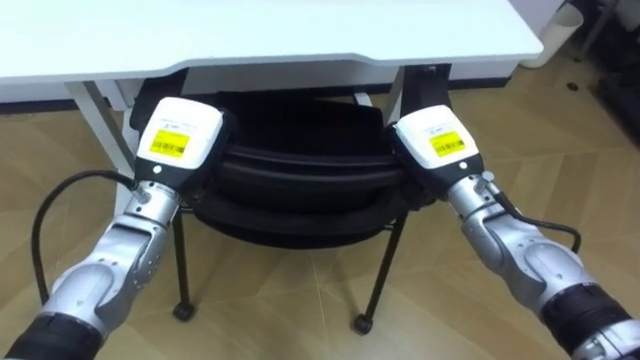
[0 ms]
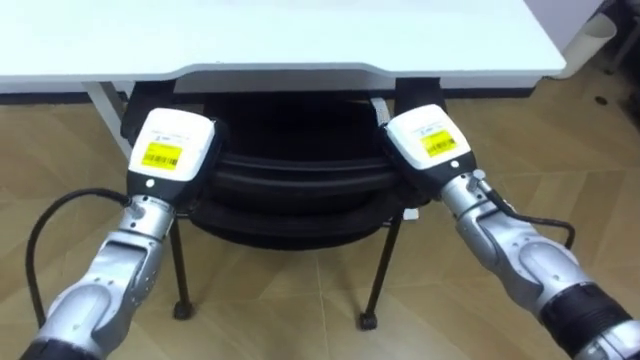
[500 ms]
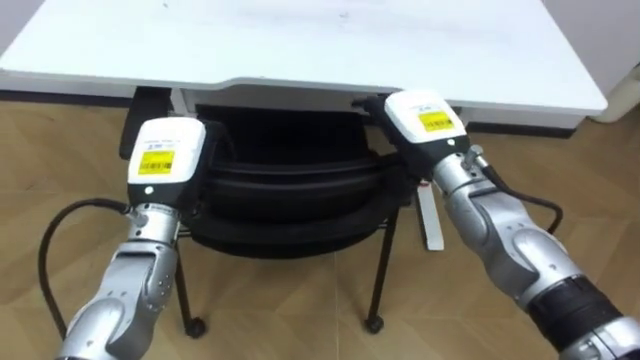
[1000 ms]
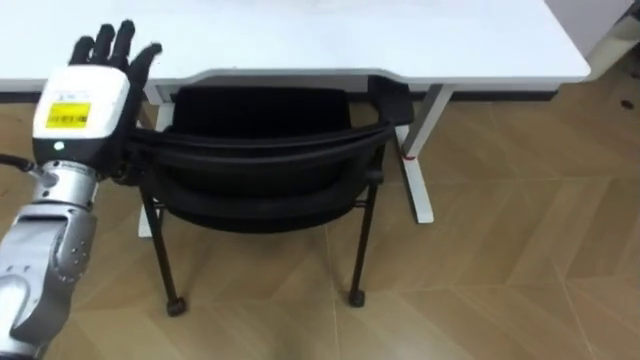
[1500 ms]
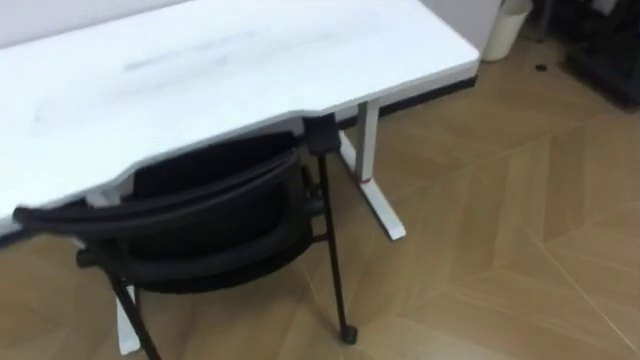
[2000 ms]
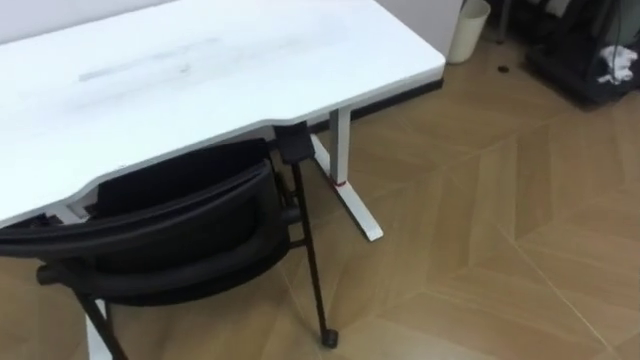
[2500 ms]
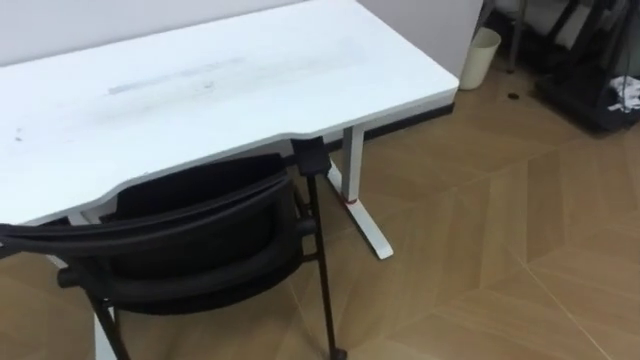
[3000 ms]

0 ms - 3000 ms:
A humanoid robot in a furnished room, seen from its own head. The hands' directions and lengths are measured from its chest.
Task of the whole recording: Push the chair under the table.
0 ms - 1500 ms: The left hand goes about 10 cm to the left and upward, and opens.

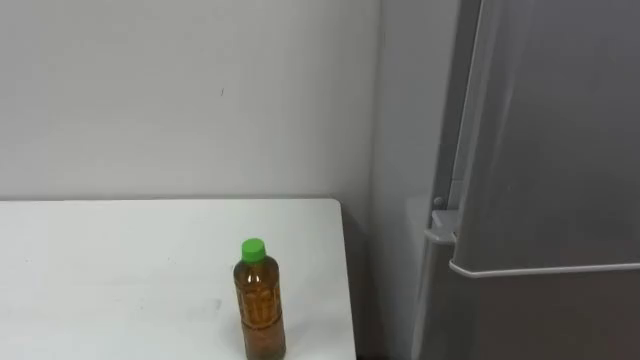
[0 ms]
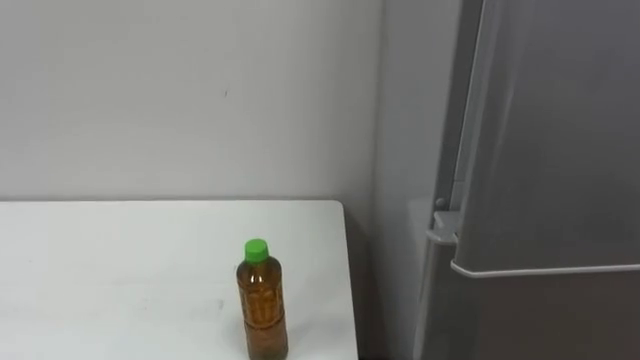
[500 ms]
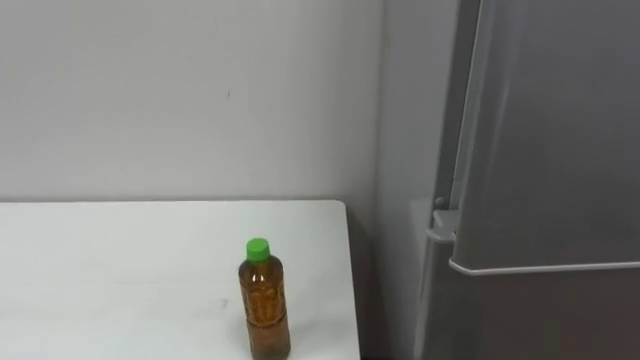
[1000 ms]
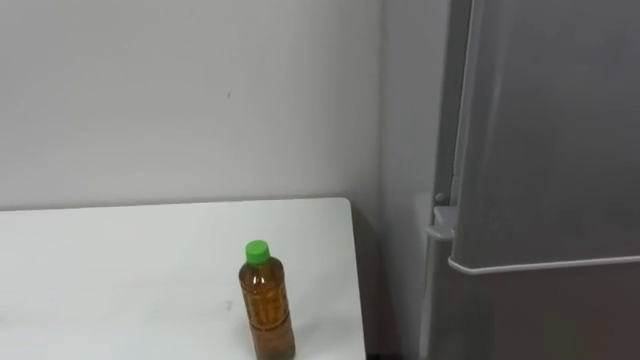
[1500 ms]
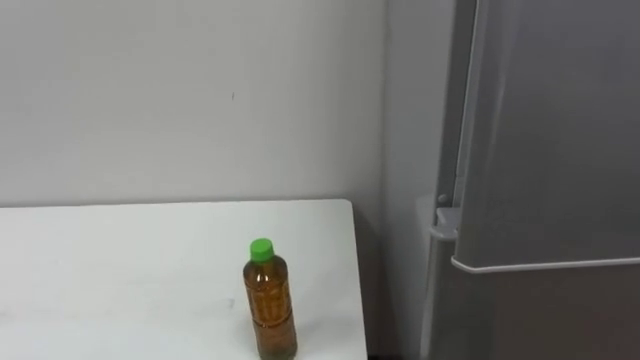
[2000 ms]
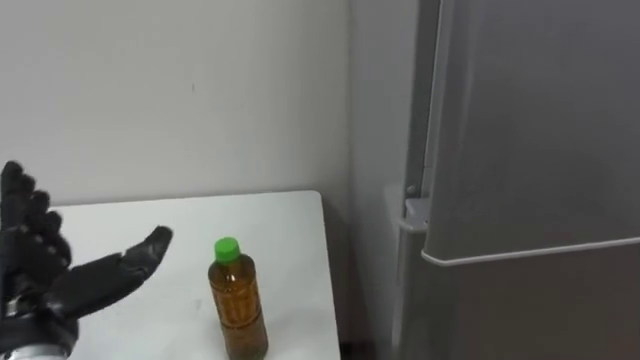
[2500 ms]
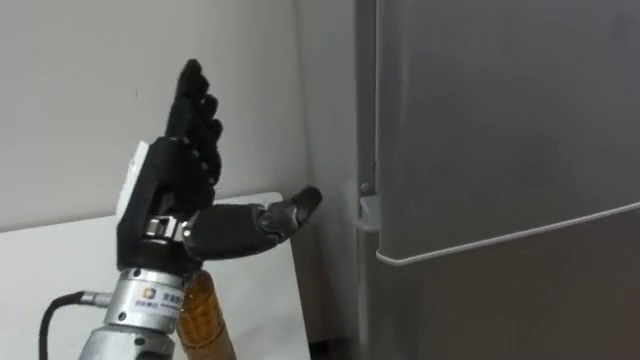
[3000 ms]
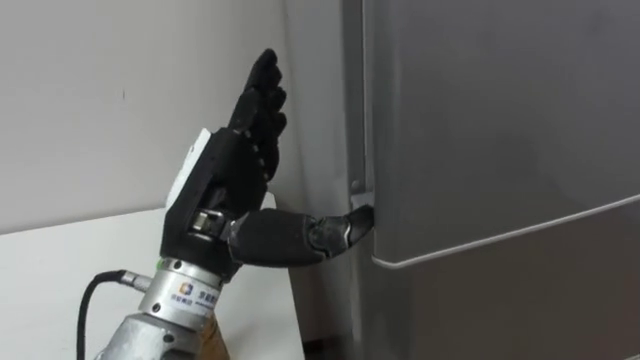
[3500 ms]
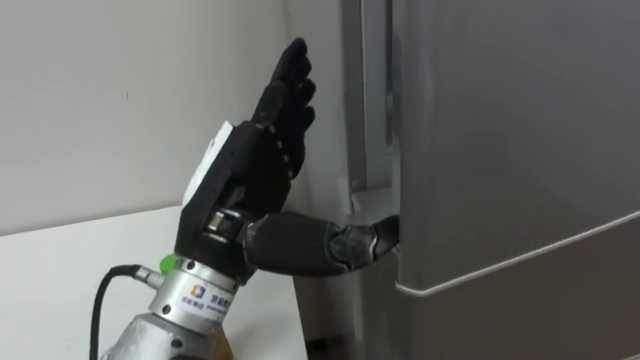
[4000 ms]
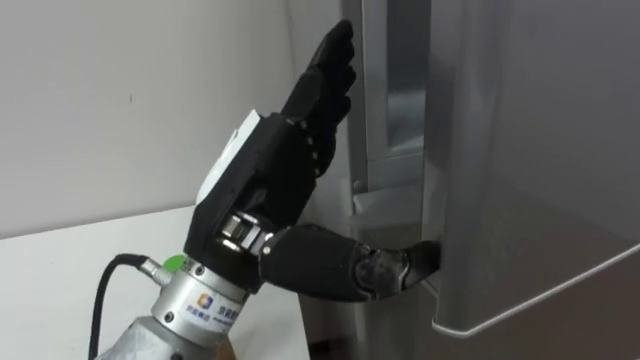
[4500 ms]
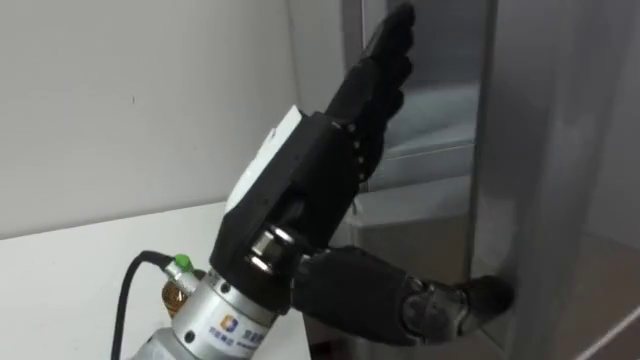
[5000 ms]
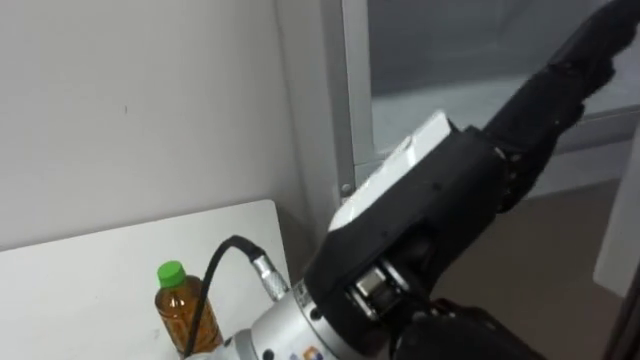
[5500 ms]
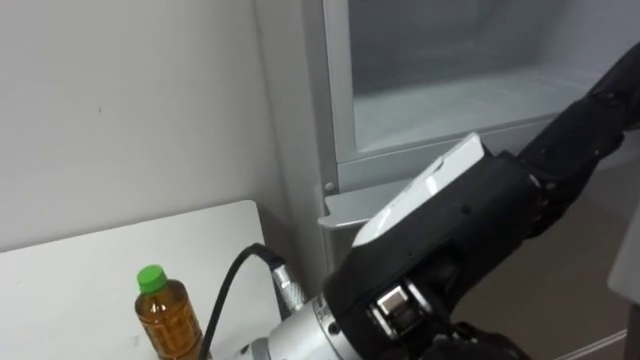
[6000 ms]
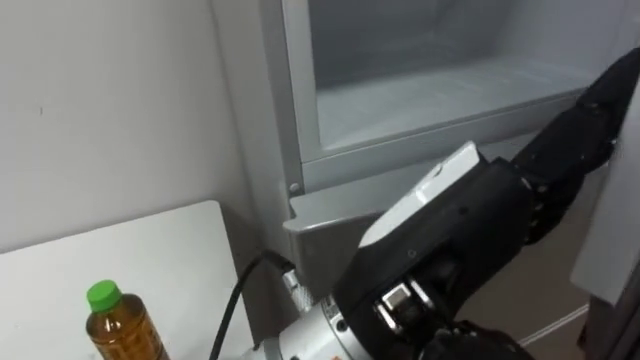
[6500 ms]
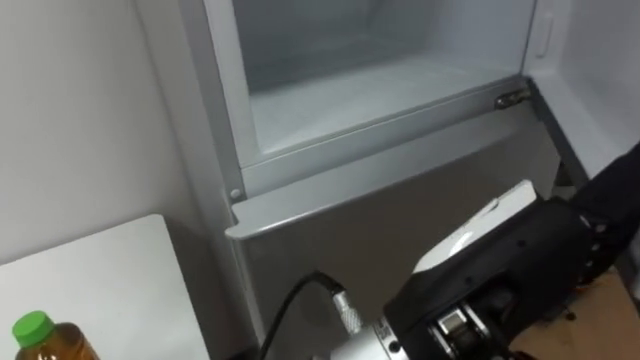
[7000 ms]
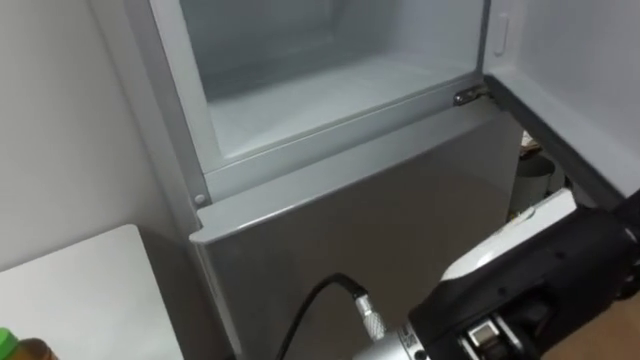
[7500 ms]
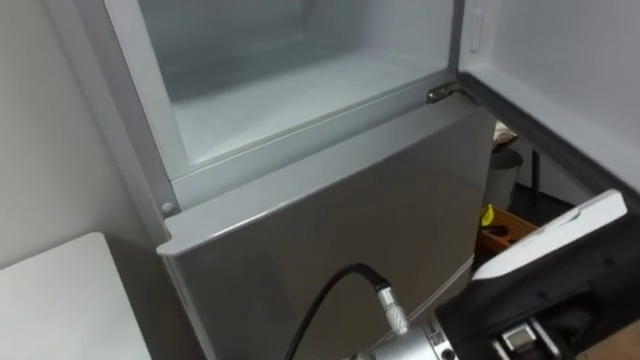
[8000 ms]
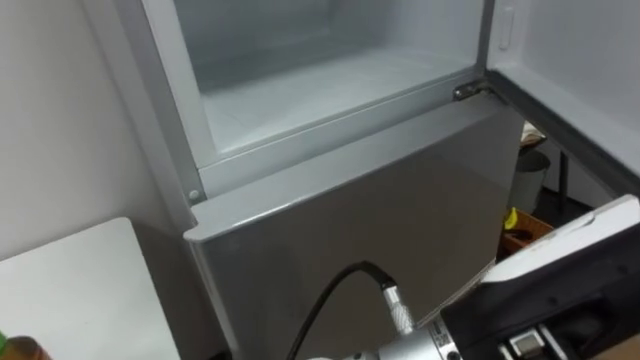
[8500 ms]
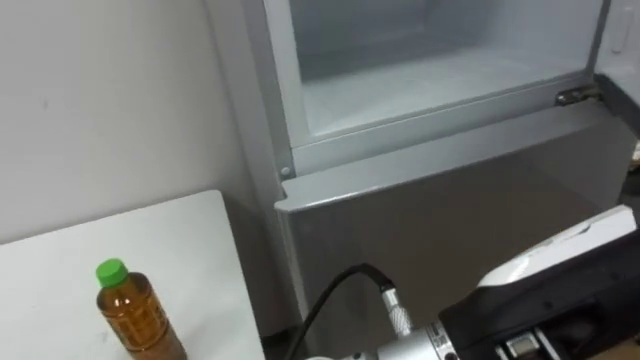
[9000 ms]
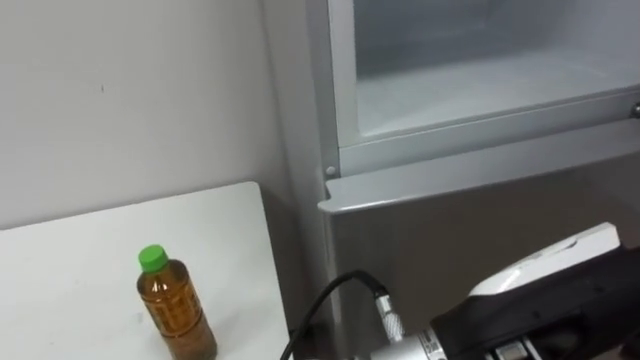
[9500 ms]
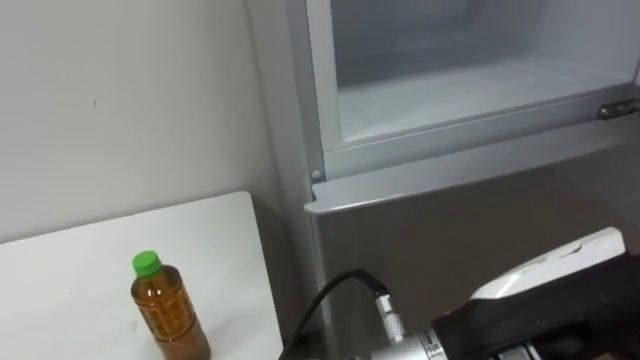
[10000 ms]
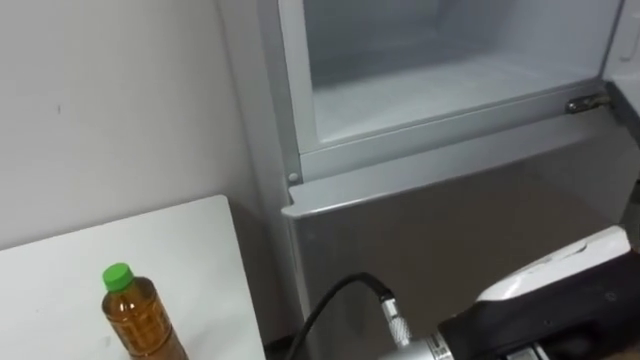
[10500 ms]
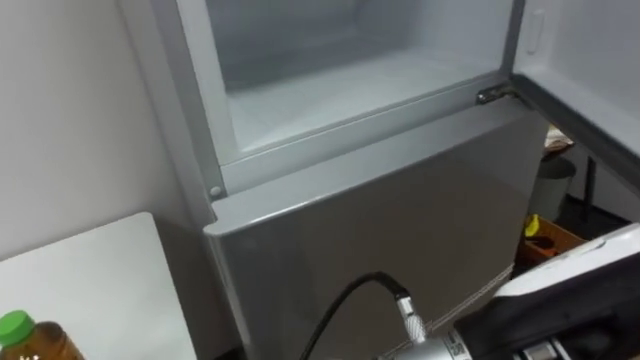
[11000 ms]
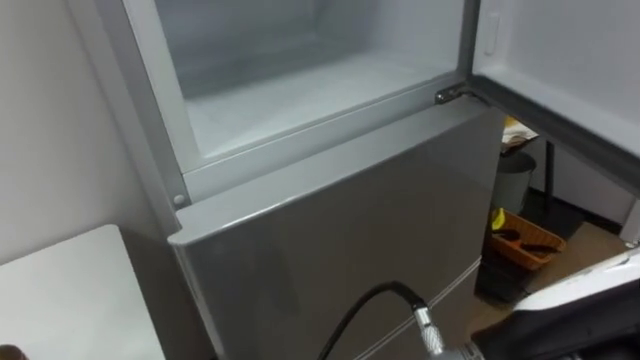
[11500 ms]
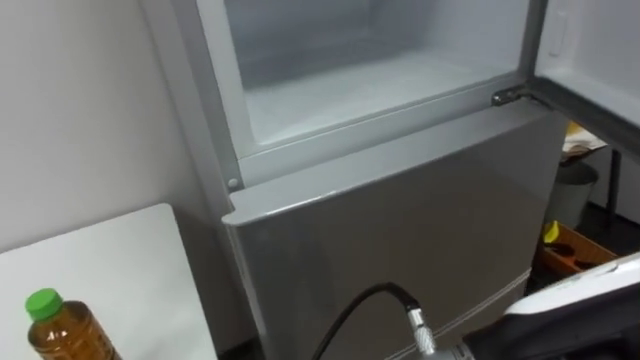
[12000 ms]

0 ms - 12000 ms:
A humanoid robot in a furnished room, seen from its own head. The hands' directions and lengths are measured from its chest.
Task of the whole recording: Open the upper refrigerator door, put the drink from the table into the refrigerator, and then close the refrigerator door.
4000 ms - 6000 ms: The left hand goes approximately 15 cm to the right and backward.
6000 ms - 8000 ms: The left hand goes approximately 5 cm to the right.
8000 ms - 10000 ms: The robot faces some 15 degrees further to its left.

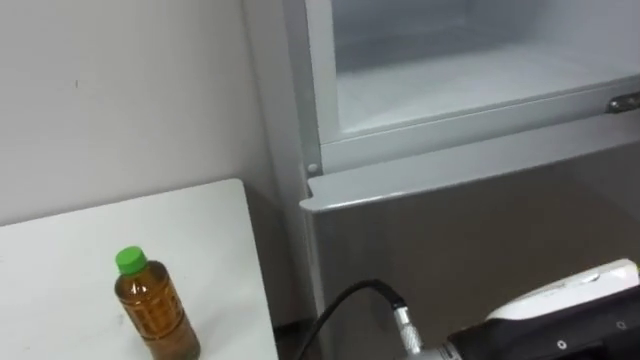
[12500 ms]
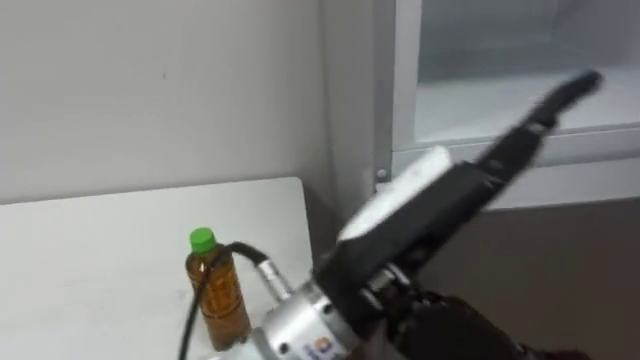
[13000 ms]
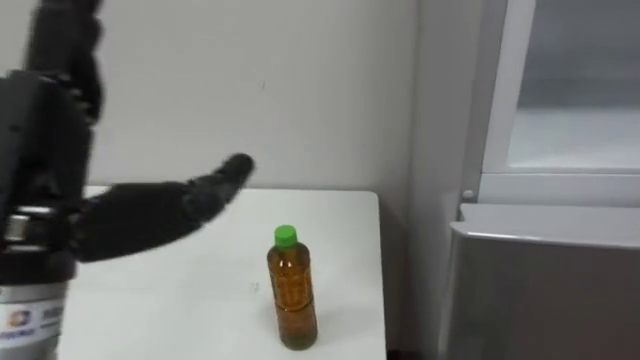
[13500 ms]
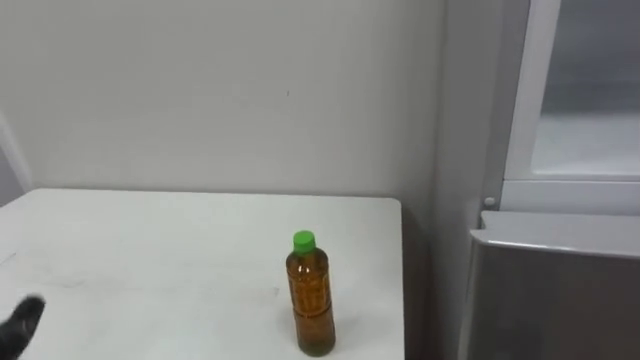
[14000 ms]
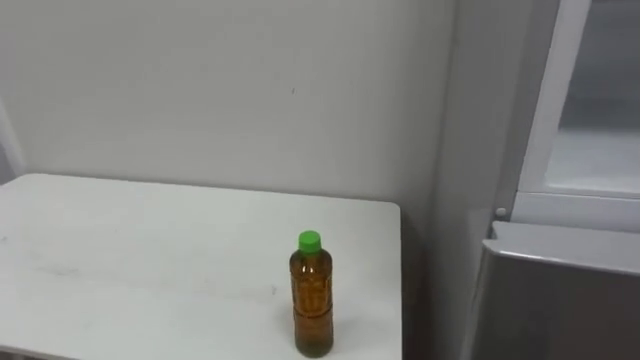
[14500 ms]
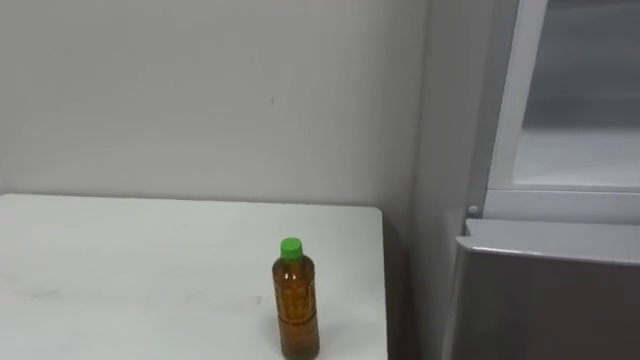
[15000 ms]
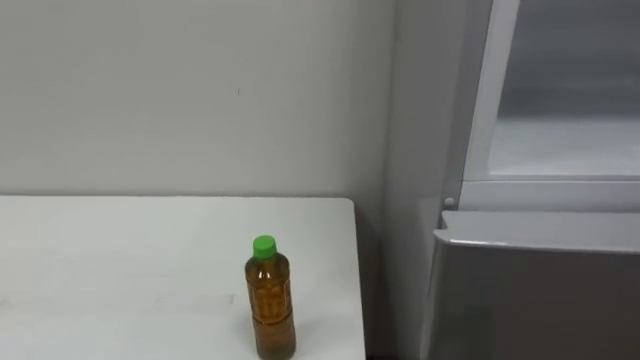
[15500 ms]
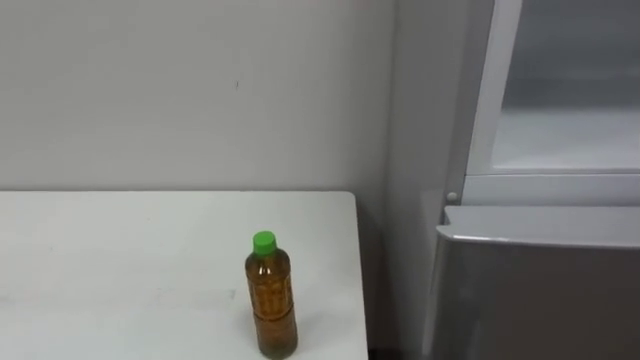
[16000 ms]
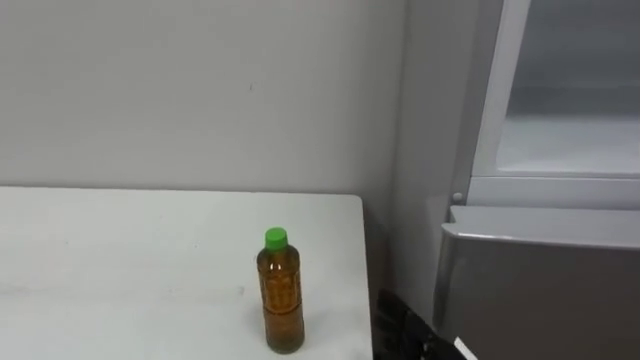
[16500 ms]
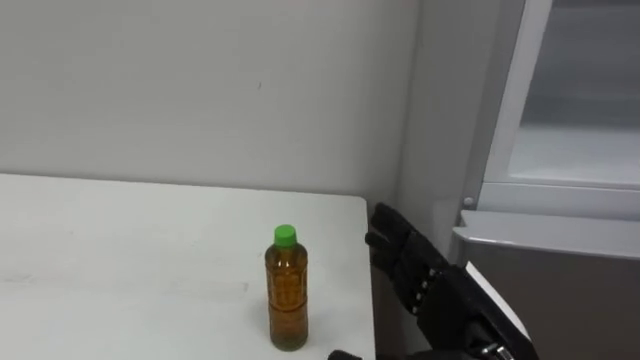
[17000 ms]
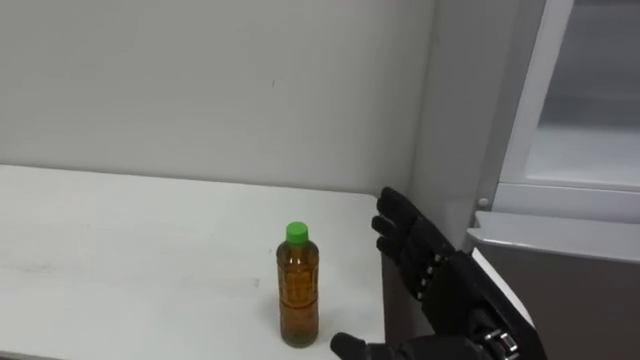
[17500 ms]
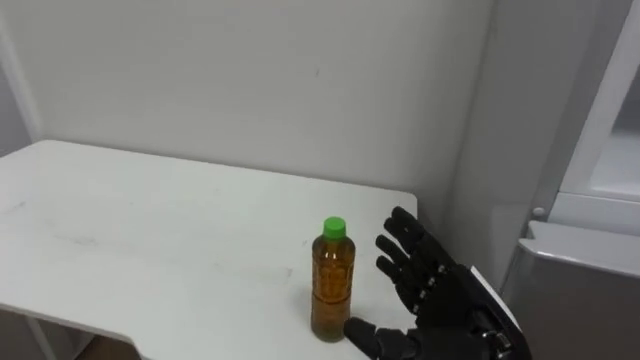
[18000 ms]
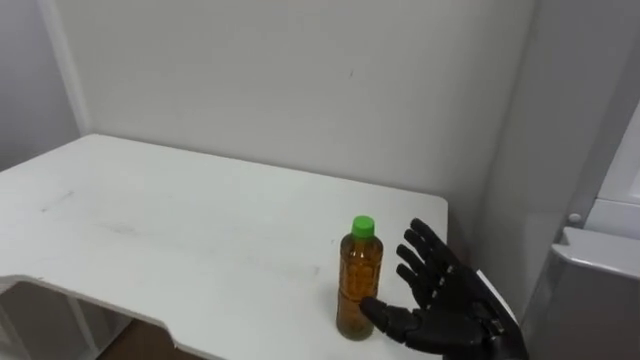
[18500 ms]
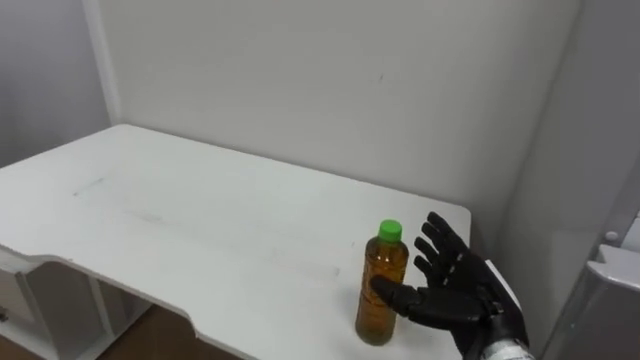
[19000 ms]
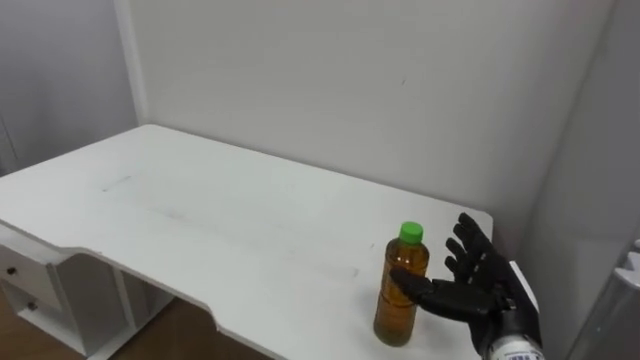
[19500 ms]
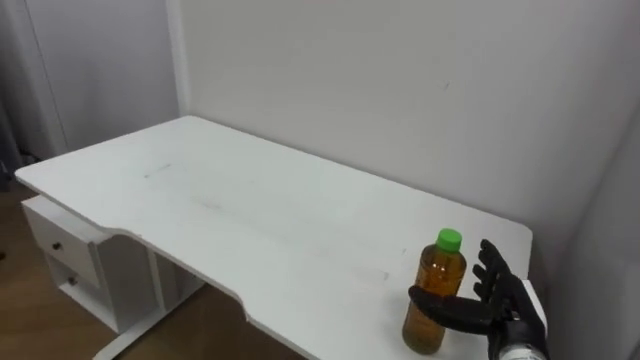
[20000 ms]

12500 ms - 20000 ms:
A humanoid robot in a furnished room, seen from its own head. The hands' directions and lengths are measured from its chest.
Task of the whole recording: Open the upper refrigerator door, put the drink from the table into the refrigerator, and then close the refrigerator door.
18000 ms - 20000 ms: The right hand heads downward, to the right and forward, covering some 15 cm.
